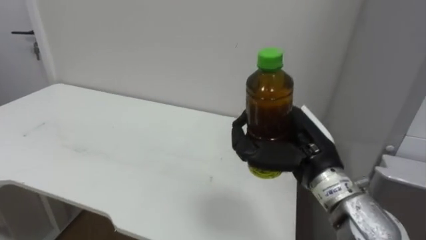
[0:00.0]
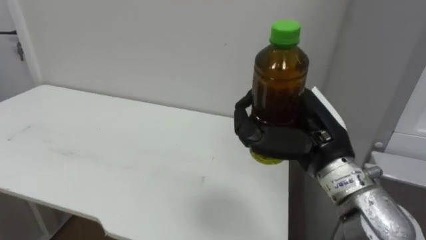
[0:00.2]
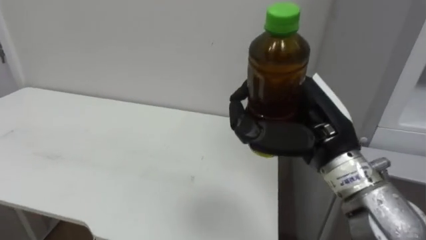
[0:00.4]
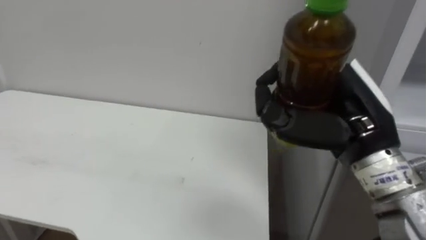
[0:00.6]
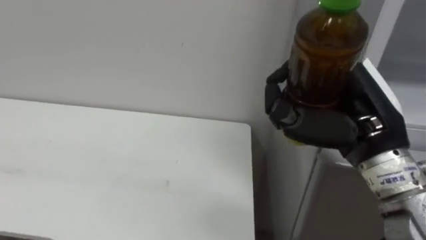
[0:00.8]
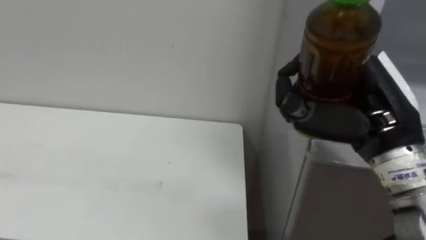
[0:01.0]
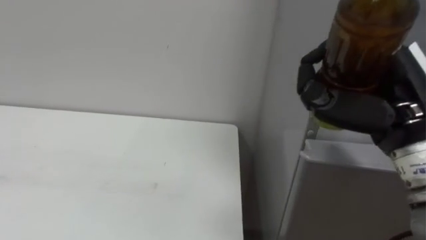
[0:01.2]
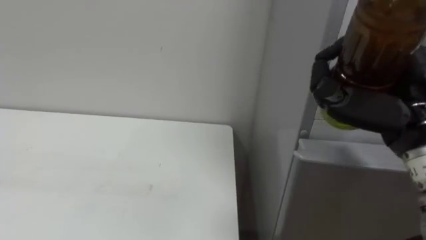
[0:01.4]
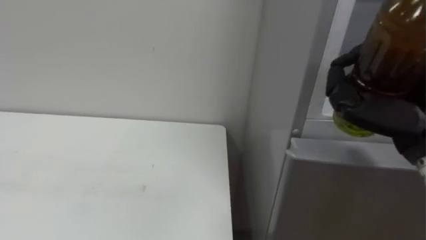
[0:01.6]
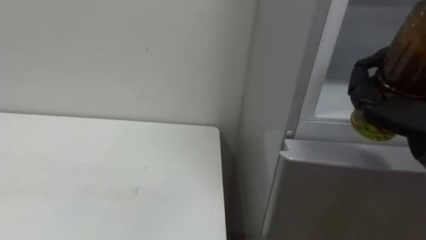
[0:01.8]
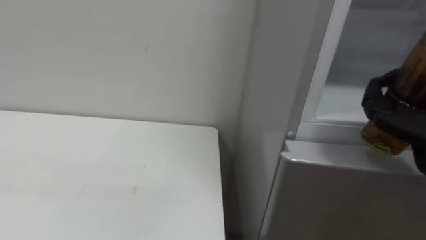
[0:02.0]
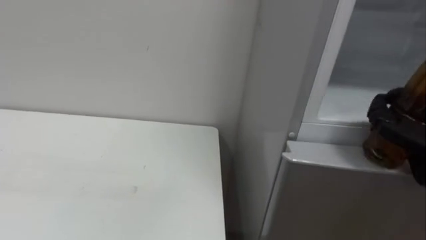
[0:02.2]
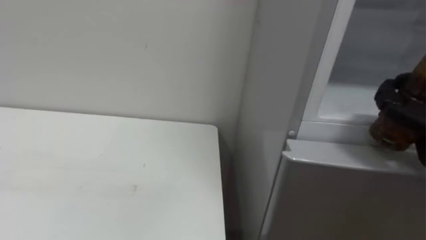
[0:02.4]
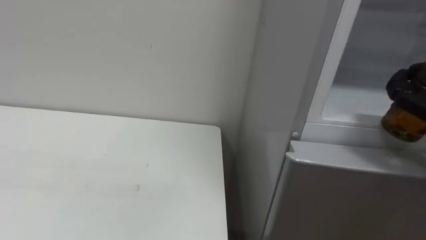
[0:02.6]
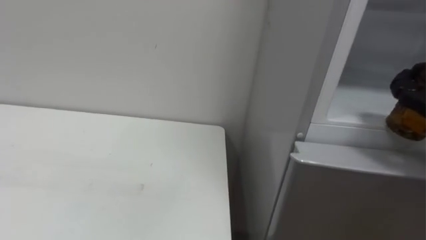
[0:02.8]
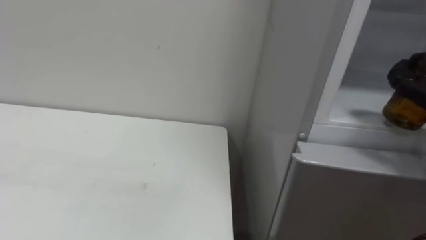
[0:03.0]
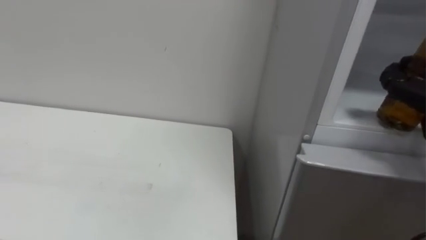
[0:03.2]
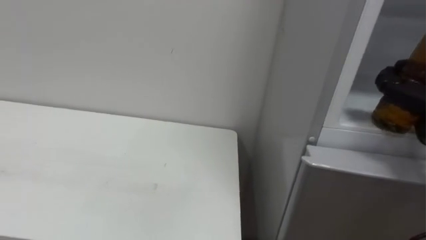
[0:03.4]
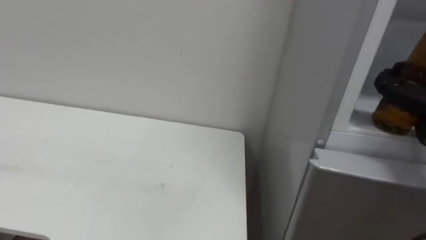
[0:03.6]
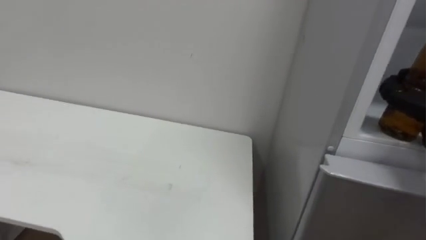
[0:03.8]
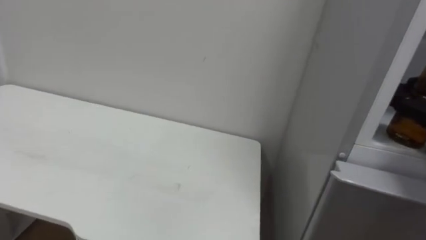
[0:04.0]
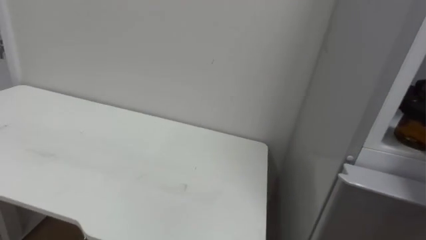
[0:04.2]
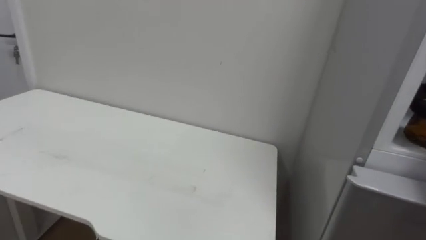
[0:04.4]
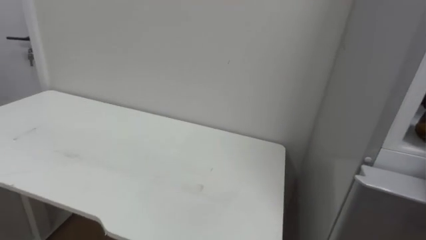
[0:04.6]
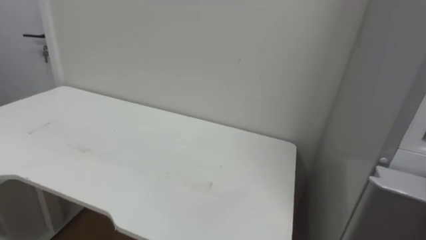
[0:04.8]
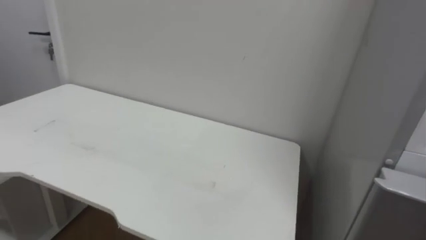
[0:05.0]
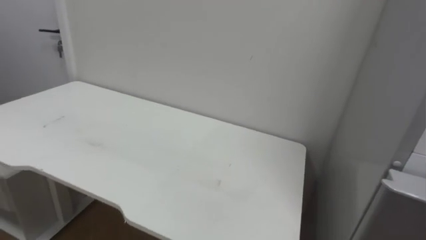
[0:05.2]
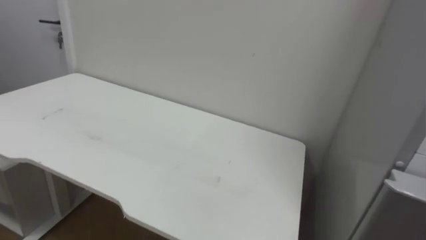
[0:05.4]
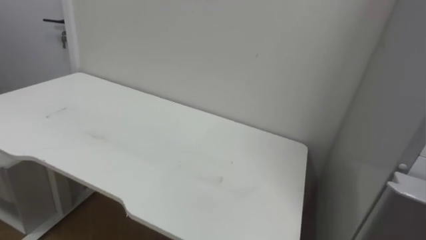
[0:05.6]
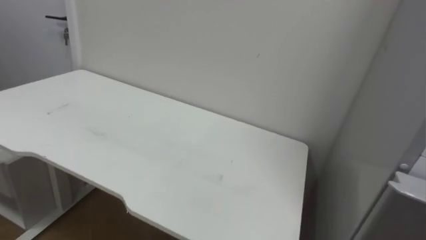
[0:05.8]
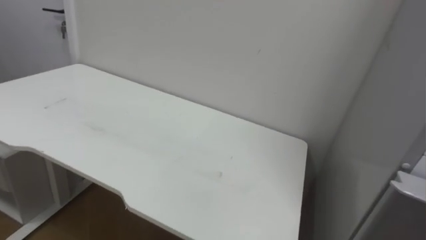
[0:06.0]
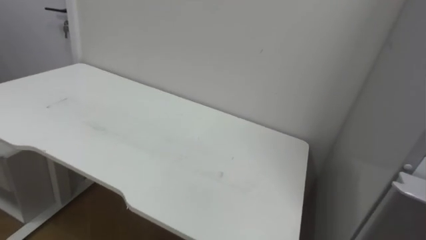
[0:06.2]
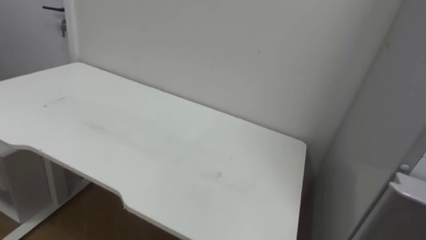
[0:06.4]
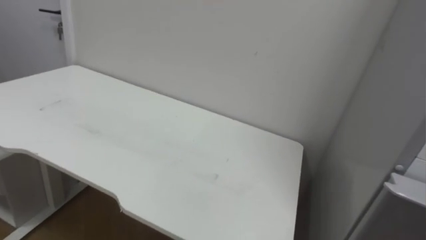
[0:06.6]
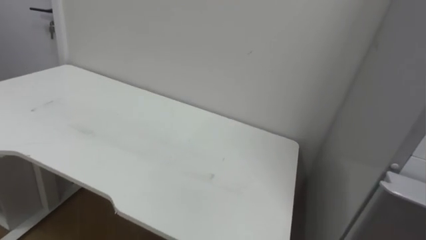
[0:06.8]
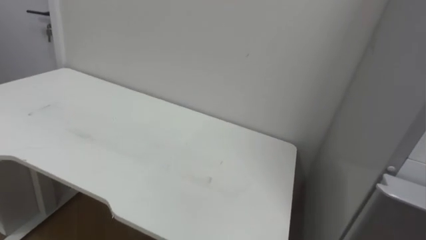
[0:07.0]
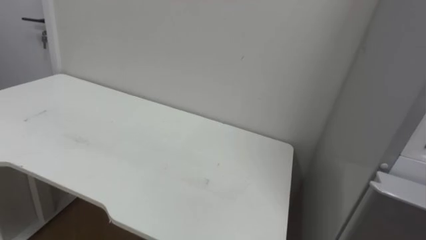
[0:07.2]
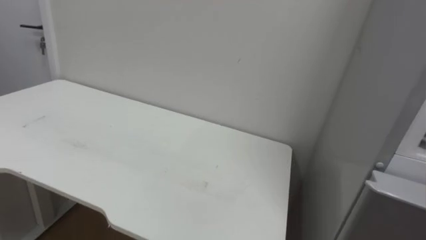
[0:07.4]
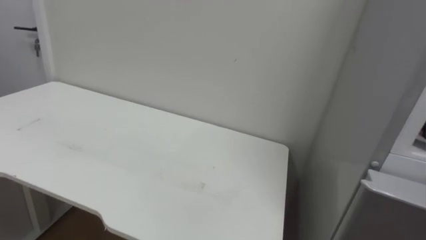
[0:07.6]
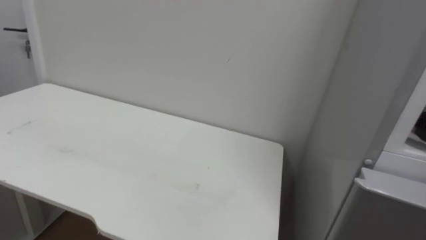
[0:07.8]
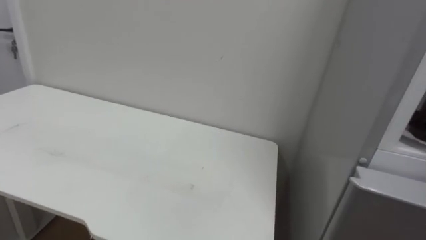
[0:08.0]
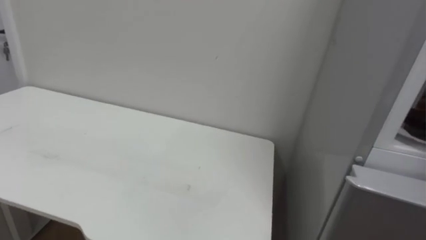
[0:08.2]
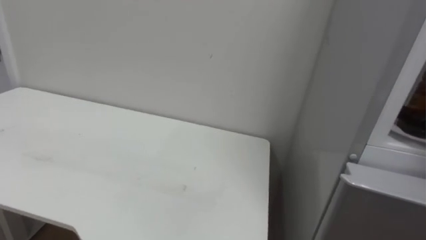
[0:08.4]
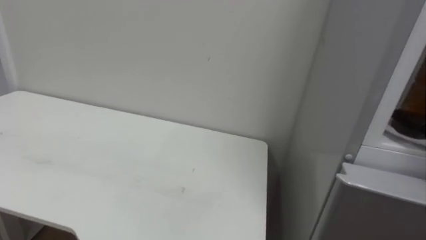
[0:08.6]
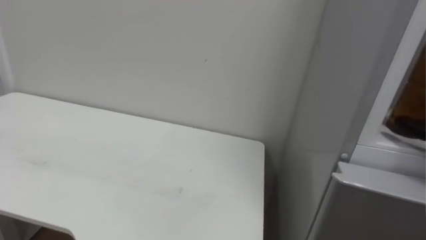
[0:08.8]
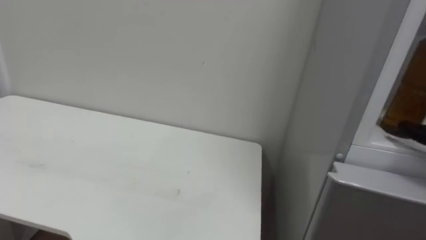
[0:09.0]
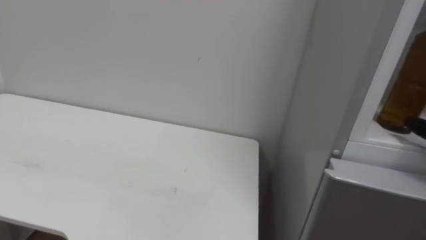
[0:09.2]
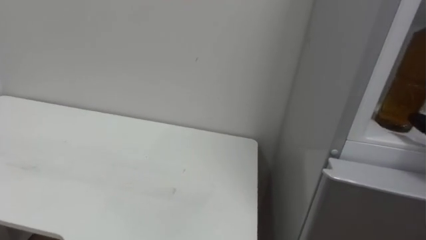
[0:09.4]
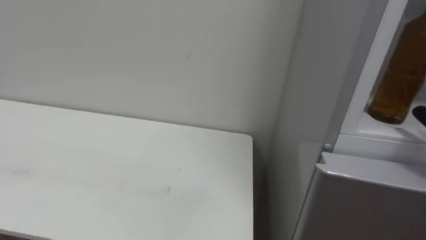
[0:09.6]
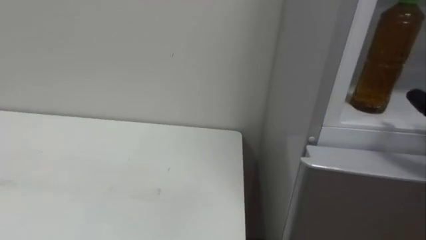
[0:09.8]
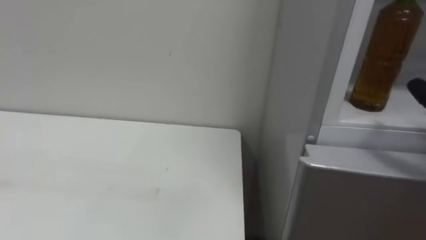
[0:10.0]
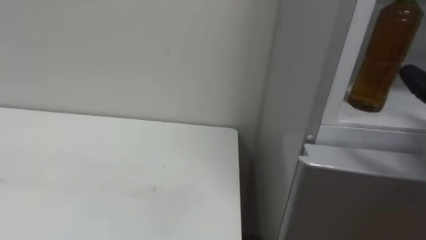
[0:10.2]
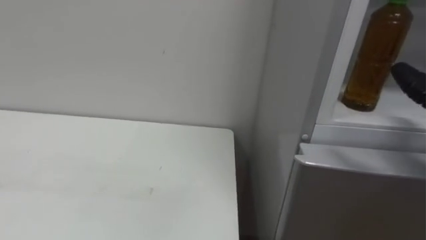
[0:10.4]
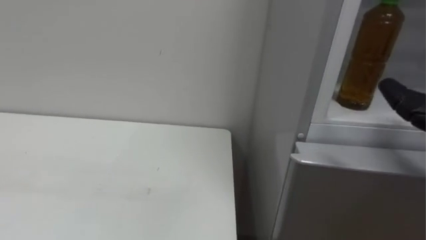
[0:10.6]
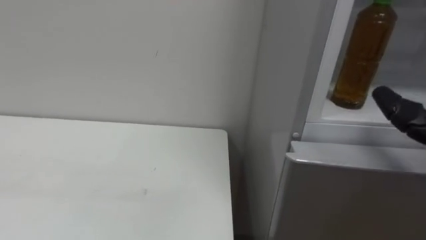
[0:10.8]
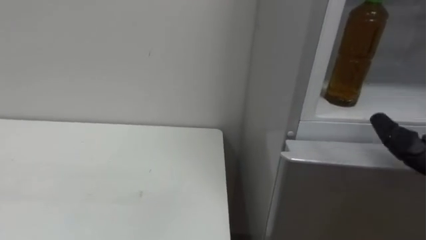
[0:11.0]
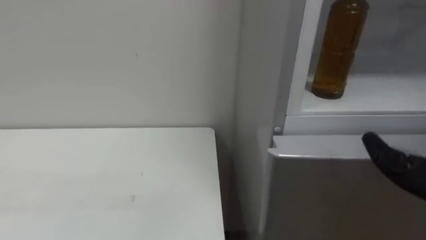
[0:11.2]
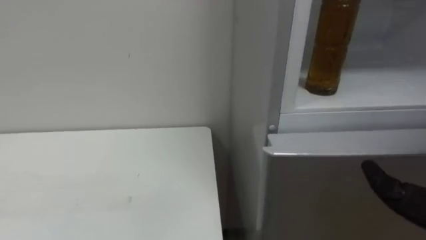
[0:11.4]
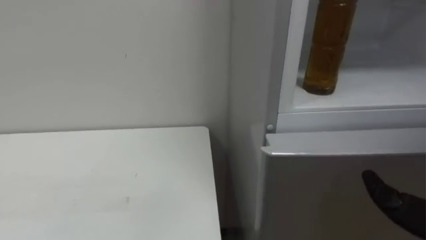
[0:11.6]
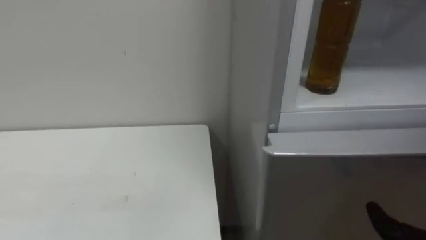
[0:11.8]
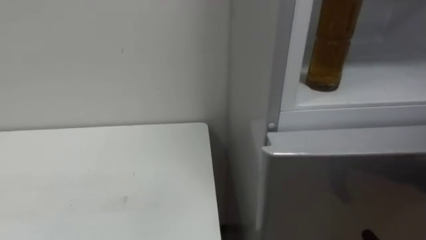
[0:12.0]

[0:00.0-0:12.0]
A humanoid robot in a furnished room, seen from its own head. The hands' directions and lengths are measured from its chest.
Task of the whole recording: Open the upper refrigerator door, put the drink from the table into the refrigerator, and then close the refrigerator door.
0:00.0 to 0:01.6: The right hand goes roughly 15 cm to the right and upward.

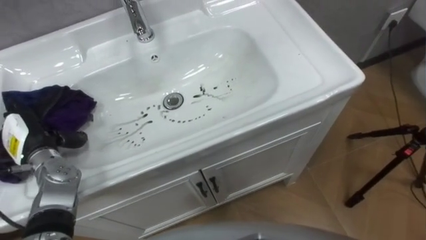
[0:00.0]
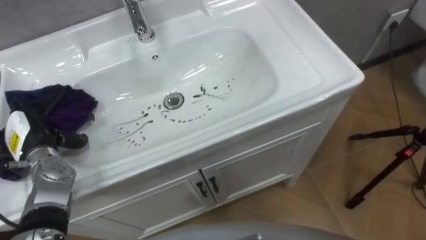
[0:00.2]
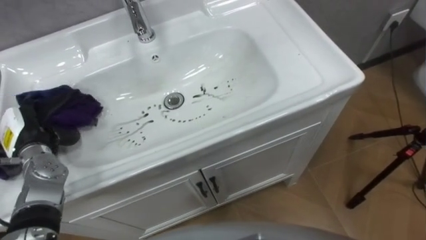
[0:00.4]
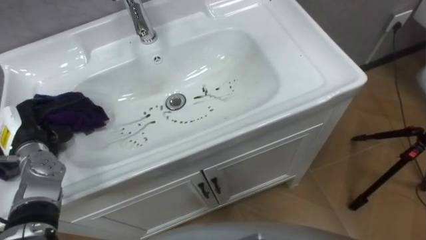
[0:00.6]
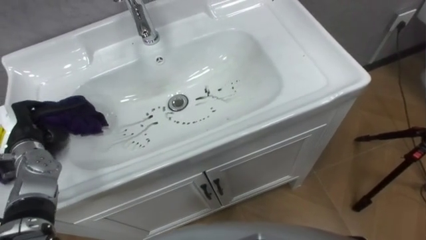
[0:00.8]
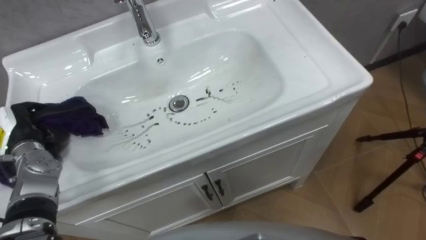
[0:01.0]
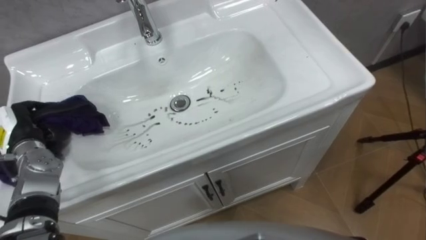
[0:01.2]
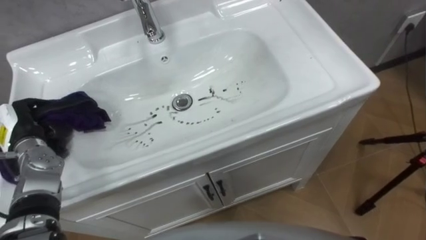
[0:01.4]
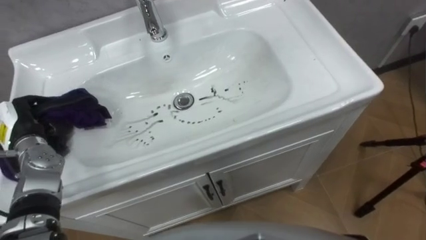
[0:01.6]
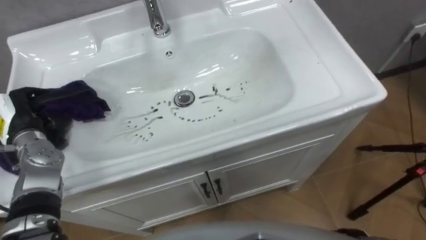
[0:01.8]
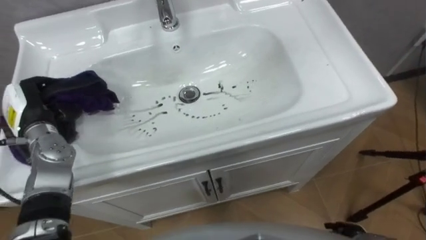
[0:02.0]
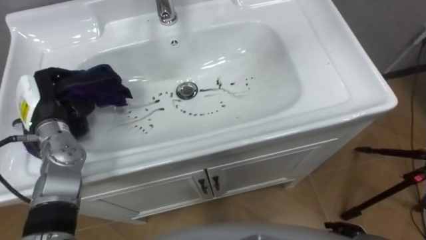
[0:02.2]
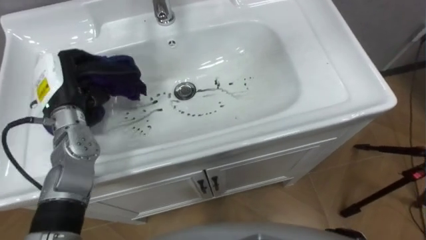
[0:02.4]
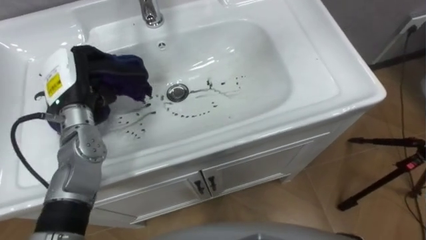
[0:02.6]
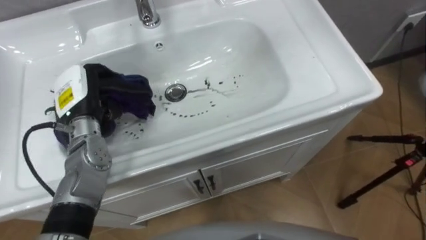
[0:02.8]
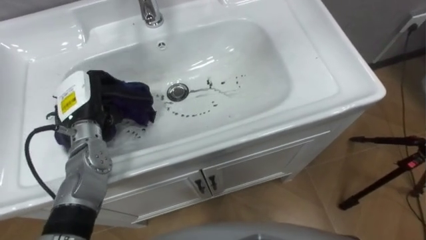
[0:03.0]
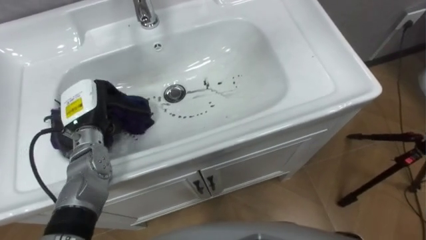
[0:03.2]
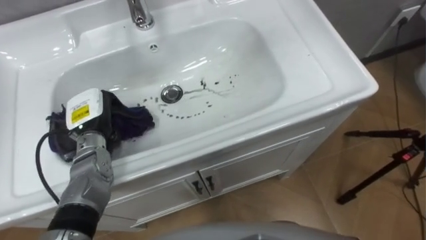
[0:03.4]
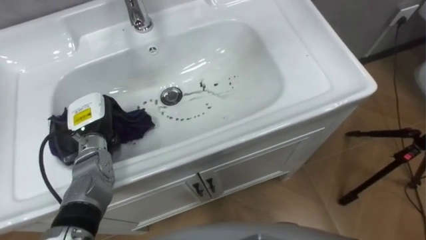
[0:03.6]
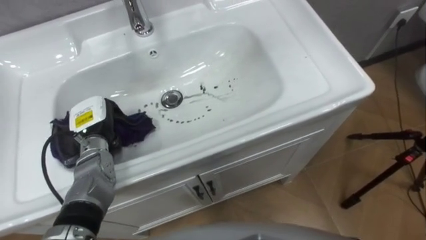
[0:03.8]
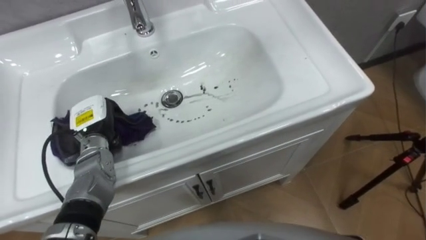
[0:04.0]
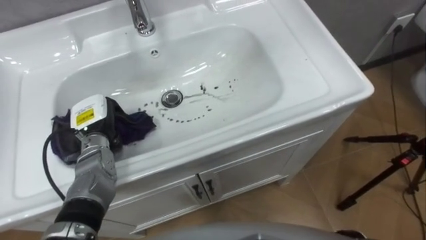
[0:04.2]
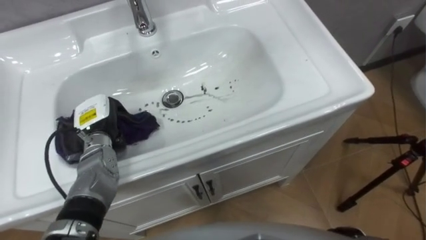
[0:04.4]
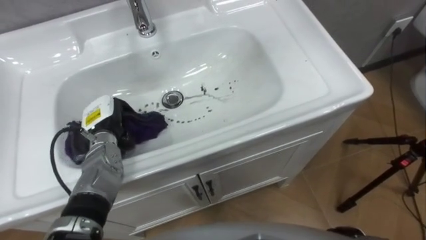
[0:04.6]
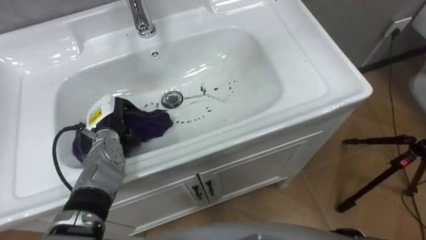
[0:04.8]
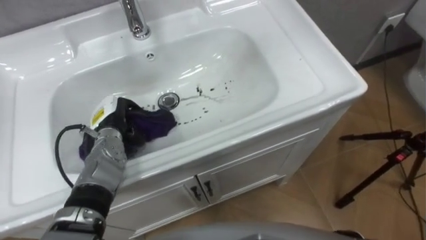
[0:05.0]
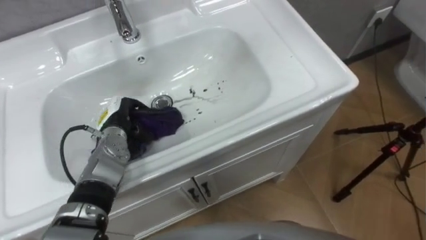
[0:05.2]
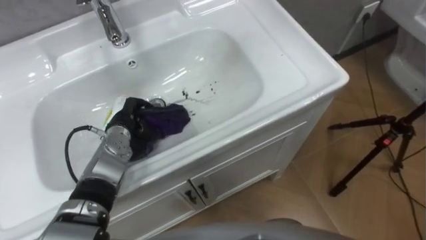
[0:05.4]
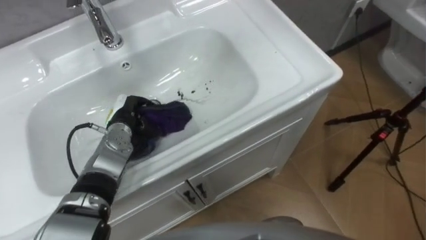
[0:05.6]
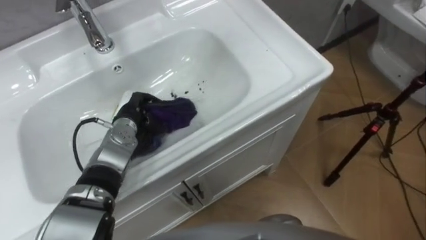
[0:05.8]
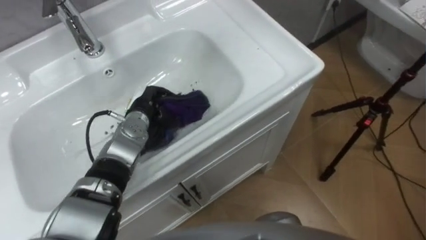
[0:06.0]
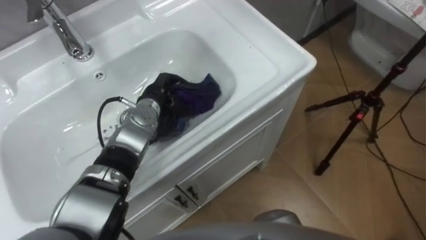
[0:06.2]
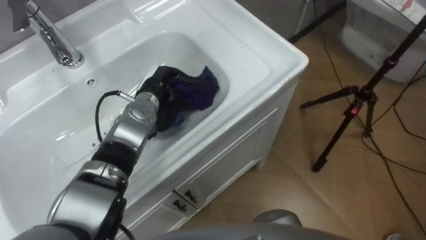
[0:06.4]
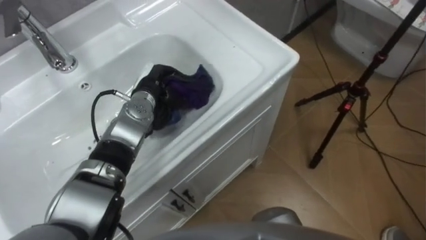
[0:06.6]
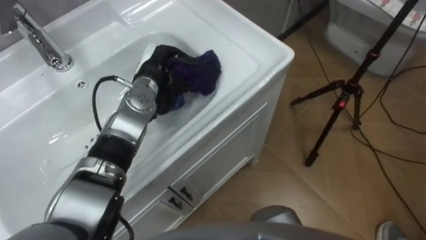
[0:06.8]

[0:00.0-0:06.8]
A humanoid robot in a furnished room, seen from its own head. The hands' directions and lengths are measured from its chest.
Task of the whole recording: Use the cloth on the right to wipe away the black stain in the sink.
0:00.0 to 0:01.4: The left hand closes up.
0:01.4 to 0:02.8: The left hand shifts about 15 cm to the right, upward and forward.
0:02.8 to 0:04.0: The left hand heads downward, covering roughly 5 cm.
0:04.0 to 0:05.4: The left hand goes roughly 5 cm to the right.
0:05.4 to 0:06.8: The left hand shifts some 15 cm forward, upward and to the right.
